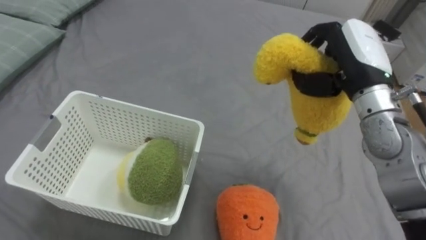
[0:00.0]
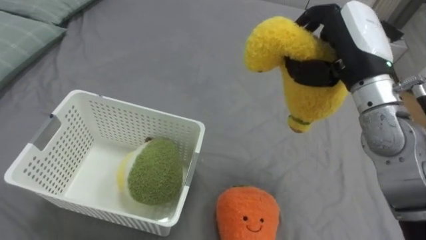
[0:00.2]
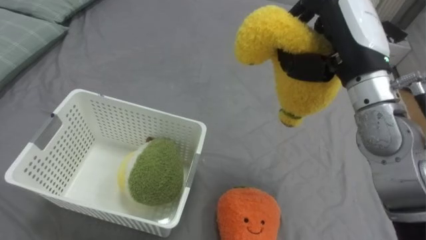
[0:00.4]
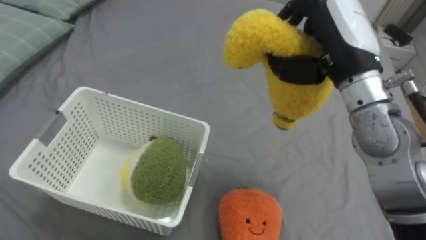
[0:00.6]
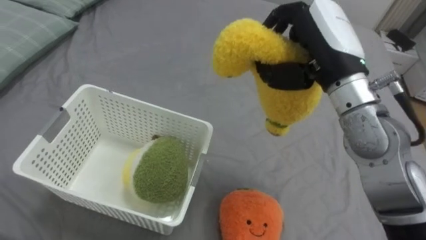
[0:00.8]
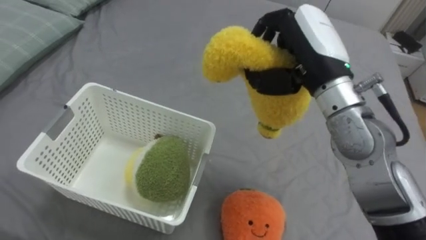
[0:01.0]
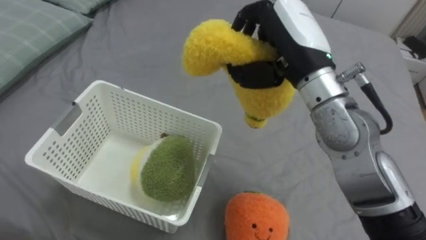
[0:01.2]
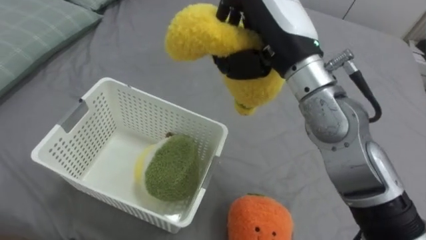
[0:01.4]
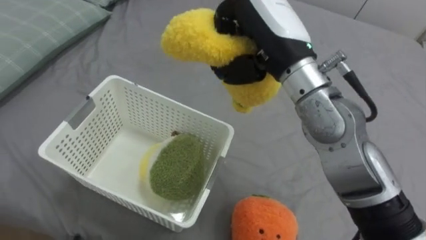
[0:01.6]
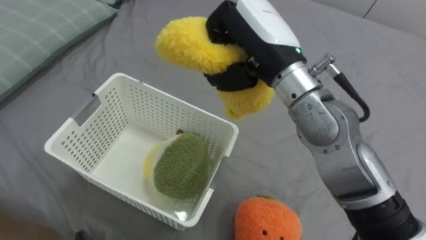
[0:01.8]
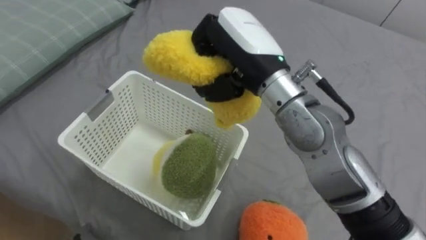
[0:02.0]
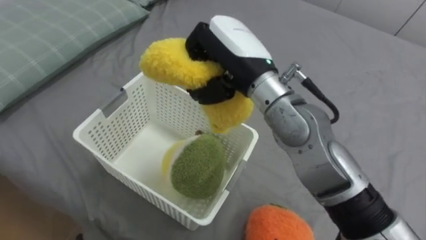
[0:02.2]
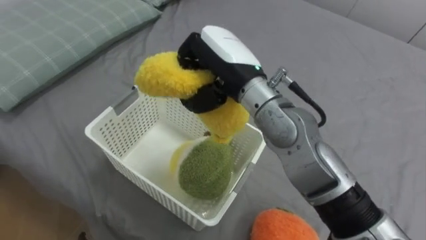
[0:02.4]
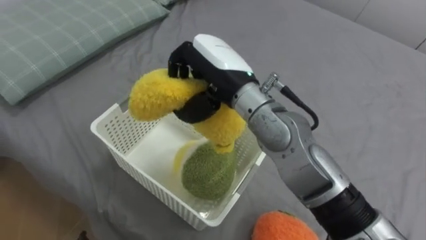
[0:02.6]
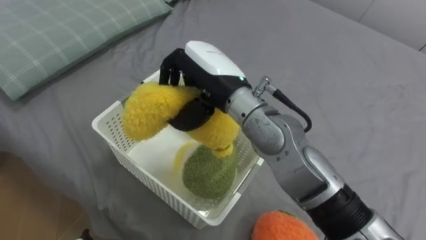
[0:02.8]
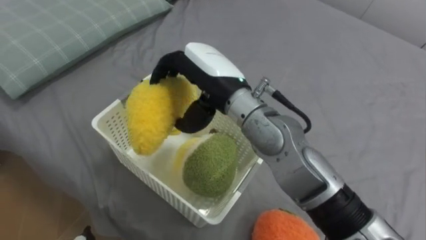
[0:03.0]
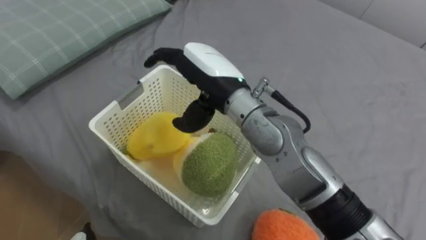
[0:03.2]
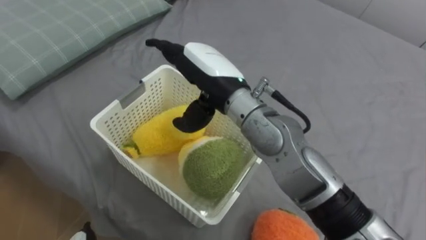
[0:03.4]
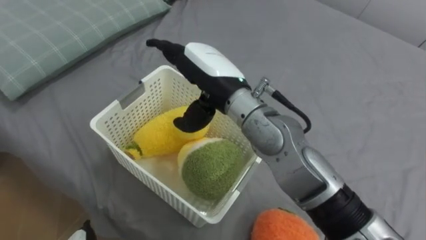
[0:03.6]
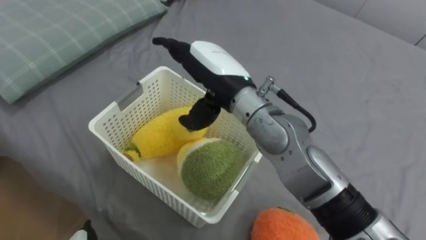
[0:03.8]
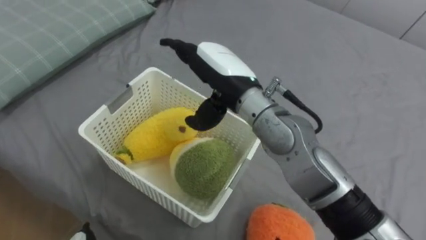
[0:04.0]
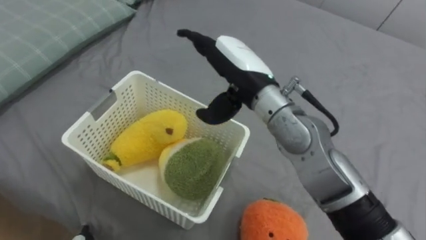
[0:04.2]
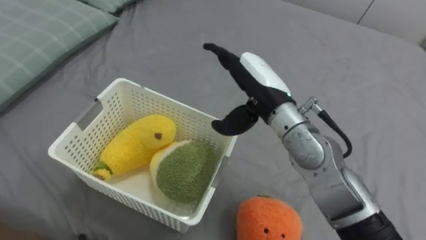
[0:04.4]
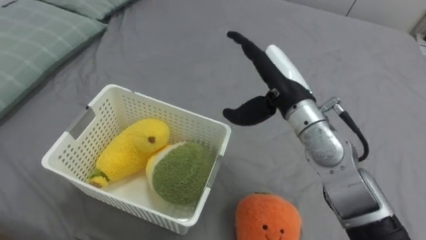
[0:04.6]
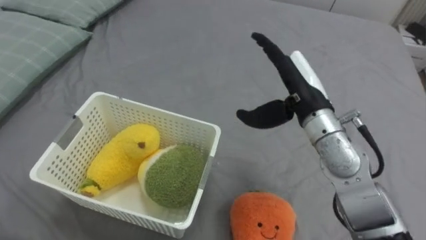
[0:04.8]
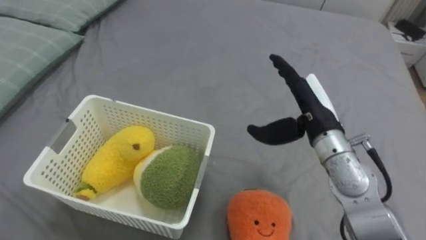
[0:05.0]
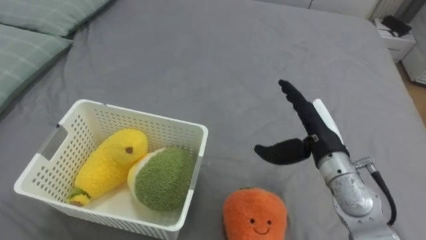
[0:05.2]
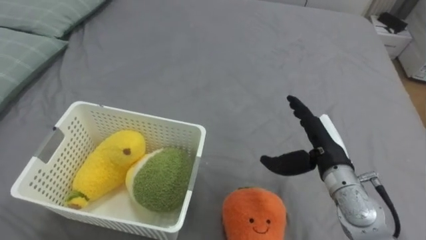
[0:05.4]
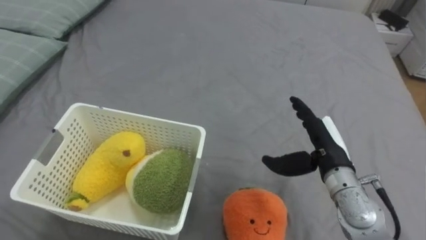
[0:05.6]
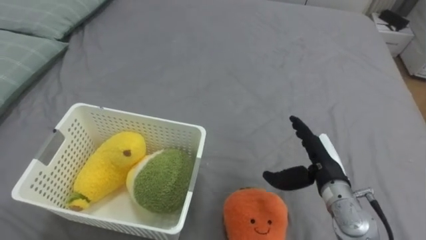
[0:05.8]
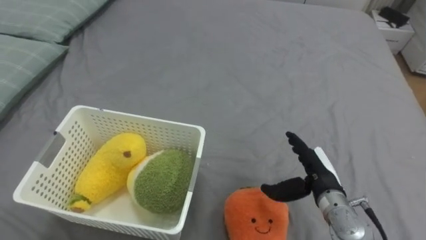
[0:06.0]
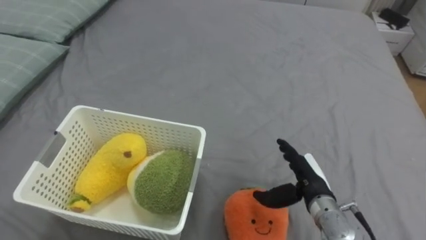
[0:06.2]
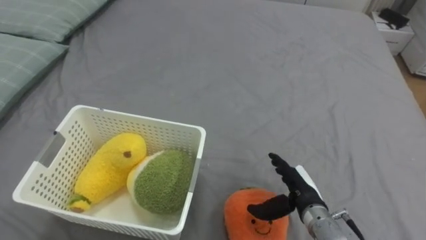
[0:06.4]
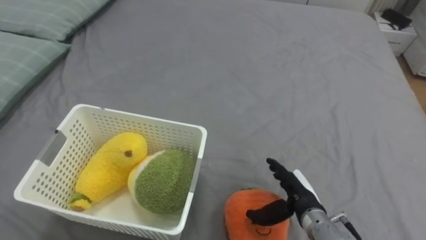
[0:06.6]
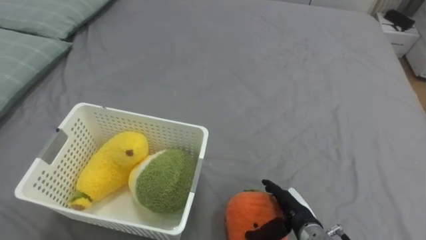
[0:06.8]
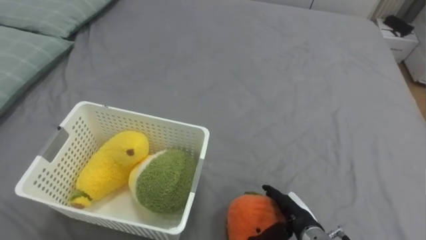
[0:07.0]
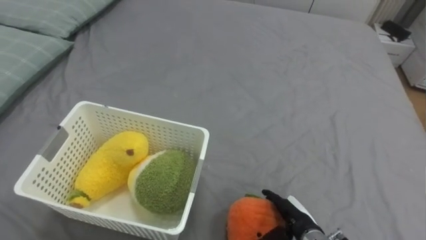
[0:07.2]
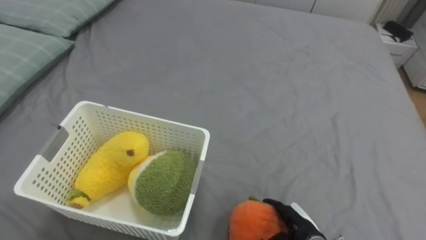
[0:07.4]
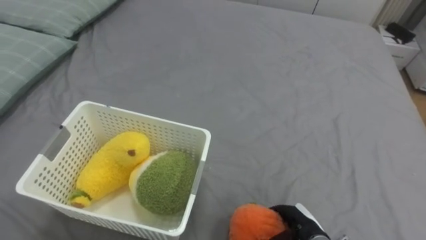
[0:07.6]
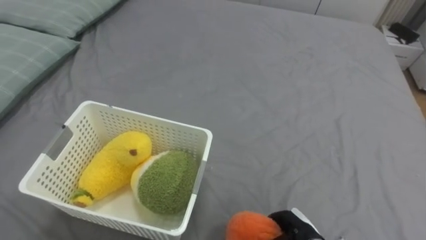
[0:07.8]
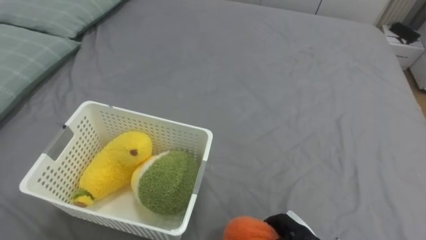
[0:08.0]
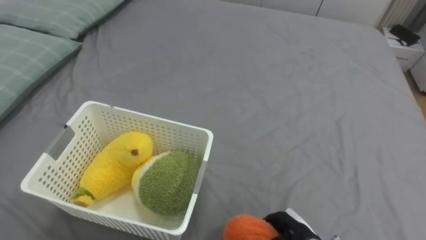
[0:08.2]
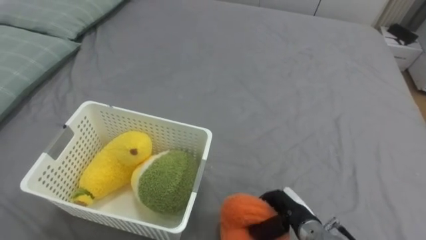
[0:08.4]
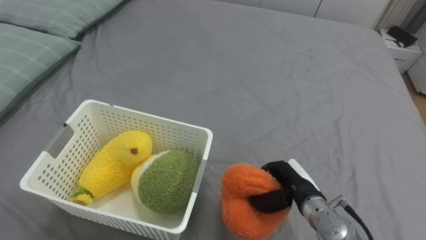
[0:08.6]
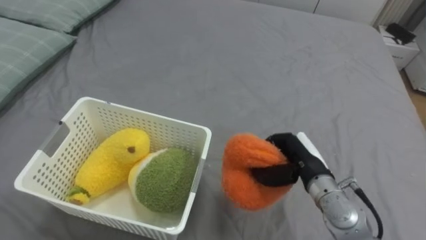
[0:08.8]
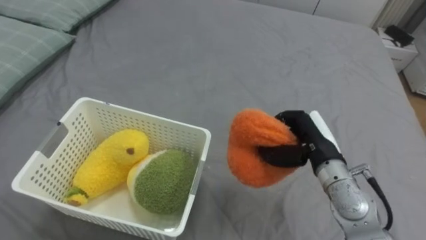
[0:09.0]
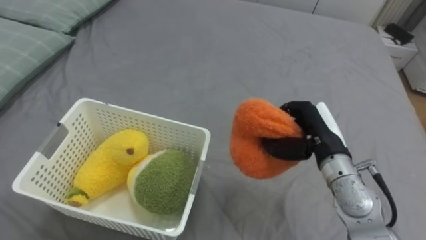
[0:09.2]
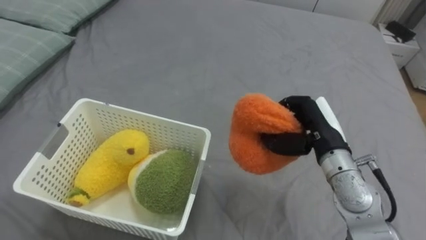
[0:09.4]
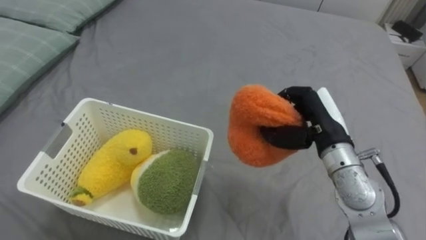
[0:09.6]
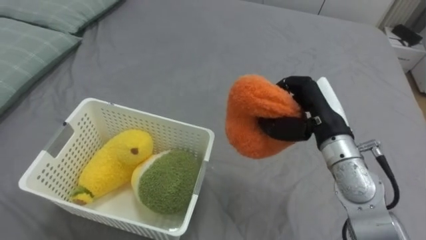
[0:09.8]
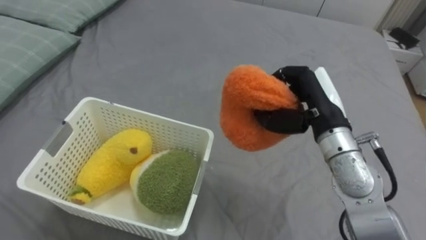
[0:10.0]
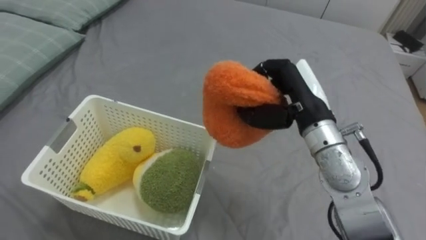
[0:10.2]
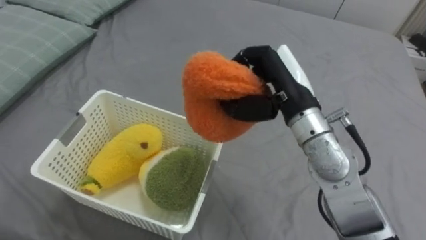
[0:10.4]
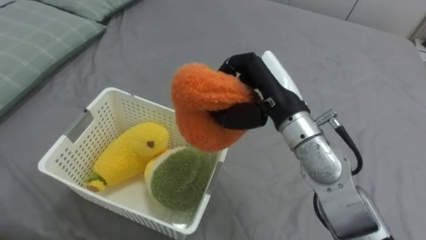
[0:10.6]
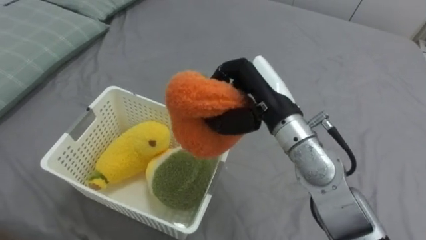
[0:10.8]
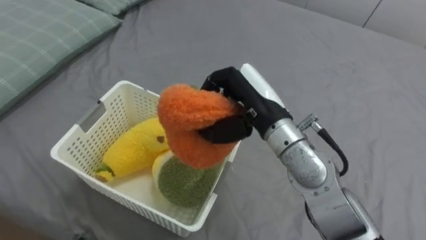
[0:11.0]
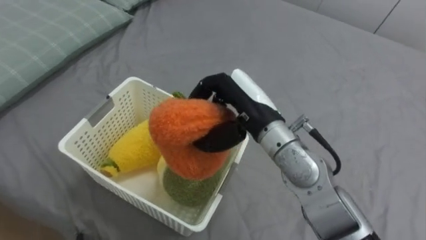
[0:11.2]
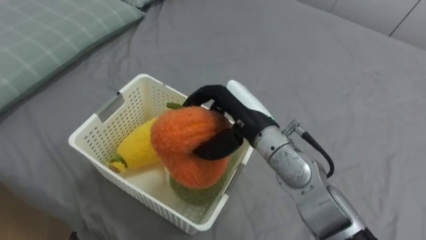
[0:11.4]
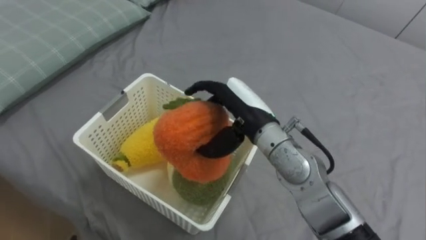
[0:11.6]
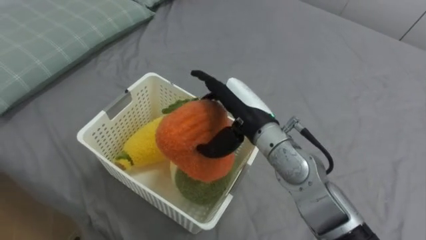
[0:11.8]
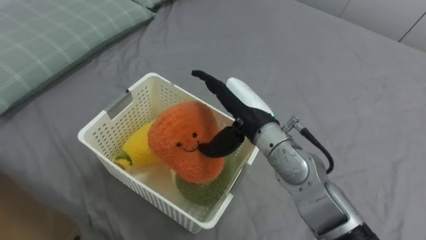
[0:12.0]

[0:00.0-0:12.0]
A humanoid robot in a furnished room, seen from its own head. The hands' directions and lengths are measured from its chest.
Task of the whole recording: Put the toys on the bed into the basket on the left.
0:00.0 to 0:01.6: The right hand heads to the left and upward, covering some 15 cm.
0:01.6 to 0:03.0: The right hand is displaced to the left and downward by some 10 cm, and opens up.
0:03.0 to 0:04.4: The right hand travels to the right by about 10 cm.
0:04.4 to 0:06.0: The right hand shifts about 25 cm downward, to the right and backward.
0:06.0 to 0:07.6: The right hand moves downward and backward, some 15 cm.
0:07.6 to 0:09.0: The right hand travels upward and forward by approximately 20 cm, and closes its fingers.
0:09.0 to 0:10.4: The right hand goes roughly 15 cm upward and to the left.
0:10.4 to 0:12.0: The right hand travels to the left and downward by some 10 cm, and opens up.

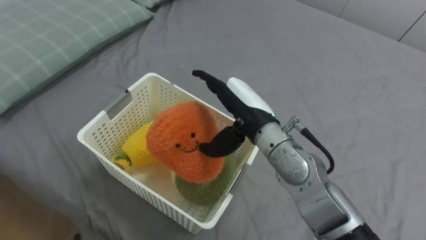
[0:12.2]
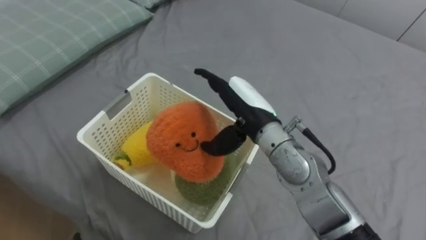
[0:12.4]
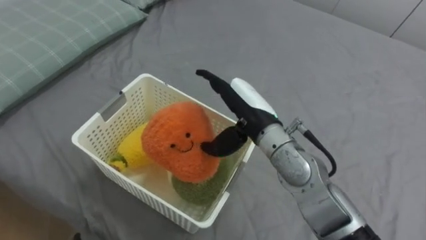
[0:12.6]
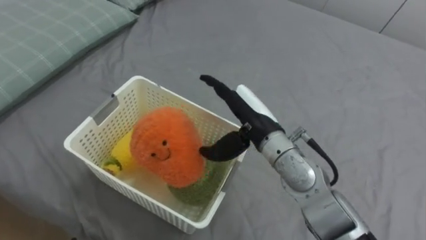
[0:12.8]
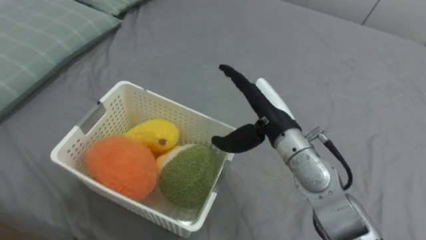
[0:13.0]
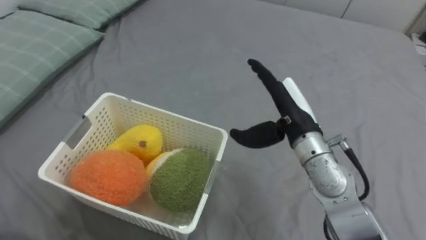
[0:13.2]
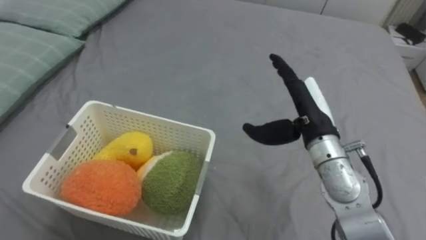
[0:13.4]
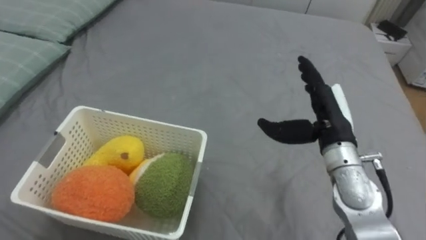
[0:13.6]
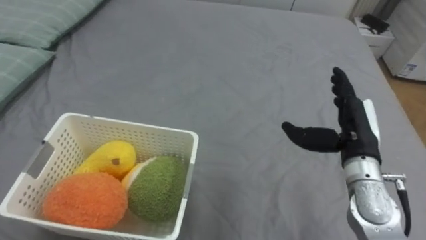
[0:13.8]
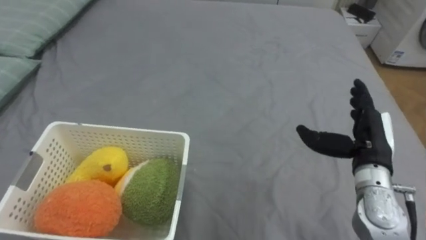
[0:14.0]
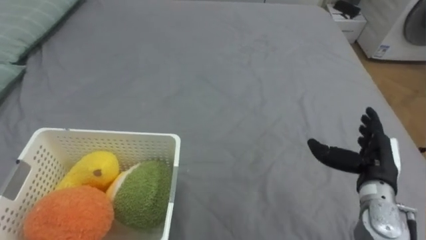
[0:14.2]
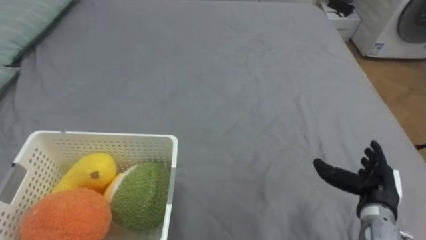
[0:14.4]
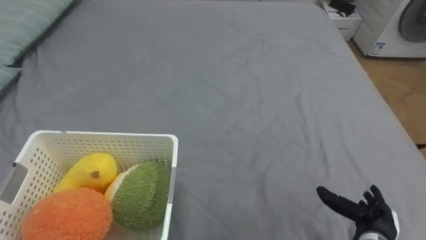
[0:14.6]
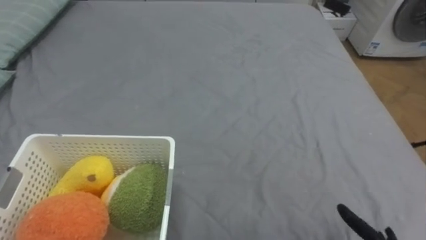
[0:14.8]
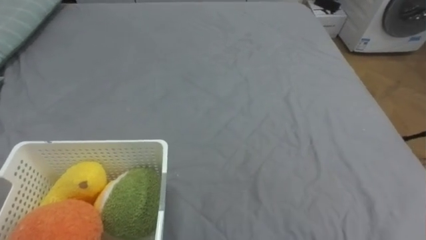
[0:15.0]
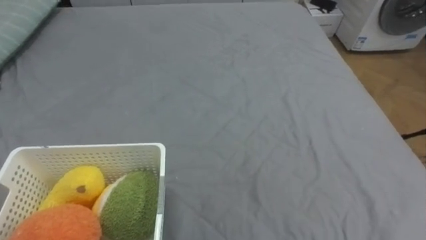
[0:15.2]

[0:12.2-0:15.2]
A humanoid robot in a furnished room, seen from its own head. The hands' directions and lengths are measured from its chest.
Task of the whole recording: Put the toys on the bed into the basket on the left.
0:12.2 to 0:13.8: The right hand shifts about 20 cm to the right.
